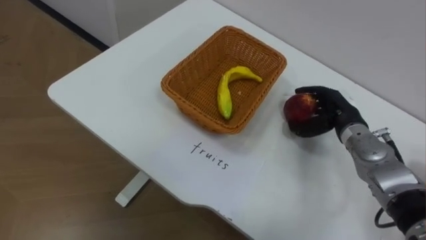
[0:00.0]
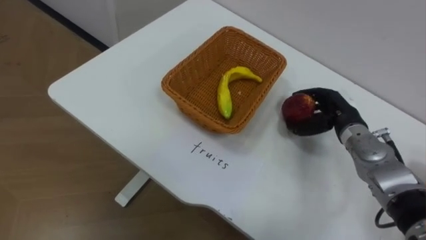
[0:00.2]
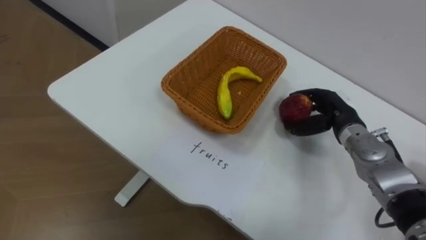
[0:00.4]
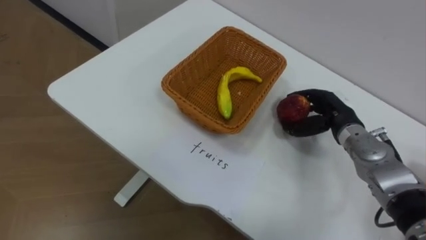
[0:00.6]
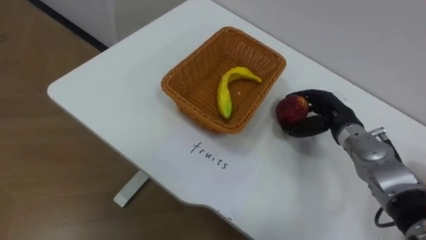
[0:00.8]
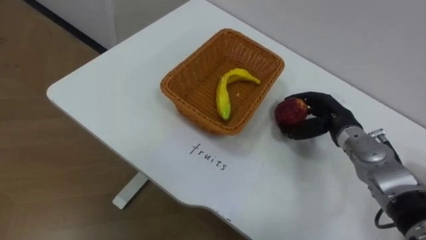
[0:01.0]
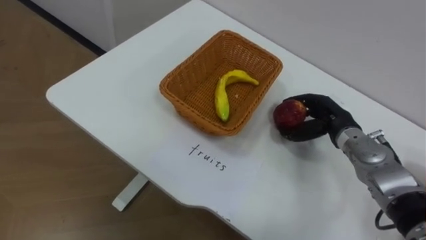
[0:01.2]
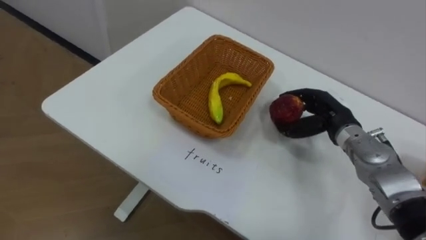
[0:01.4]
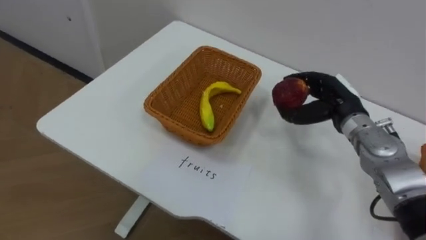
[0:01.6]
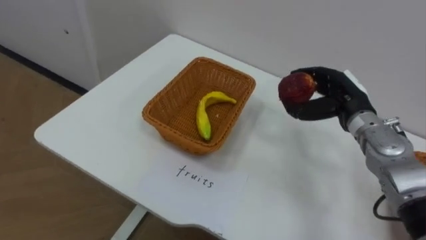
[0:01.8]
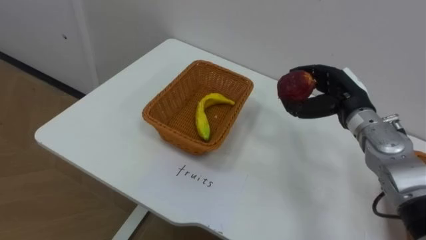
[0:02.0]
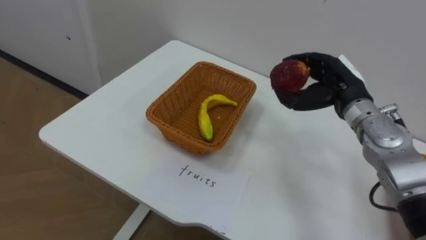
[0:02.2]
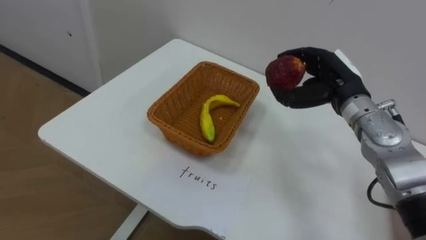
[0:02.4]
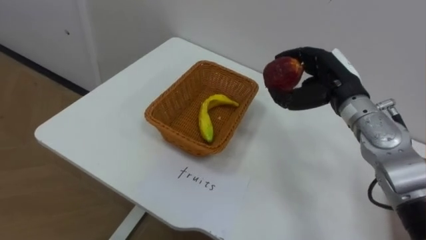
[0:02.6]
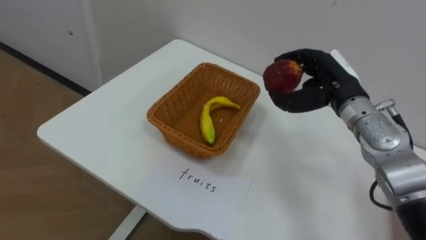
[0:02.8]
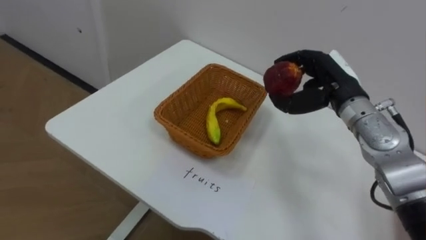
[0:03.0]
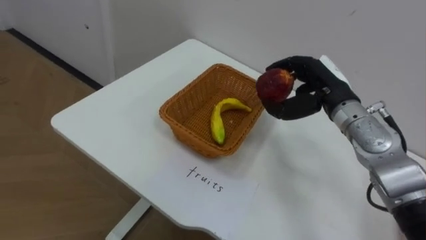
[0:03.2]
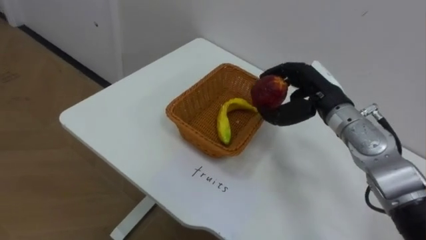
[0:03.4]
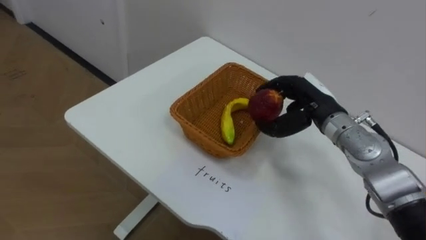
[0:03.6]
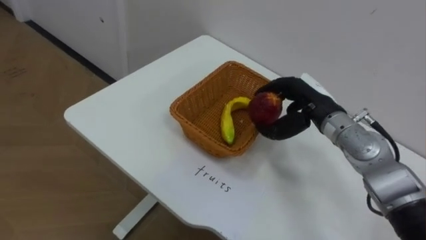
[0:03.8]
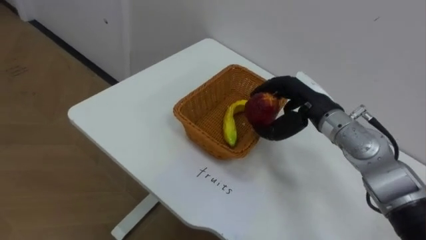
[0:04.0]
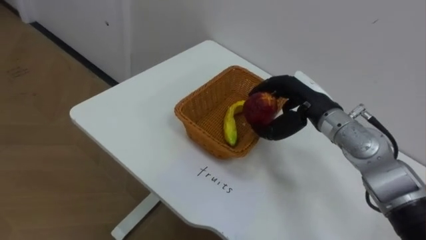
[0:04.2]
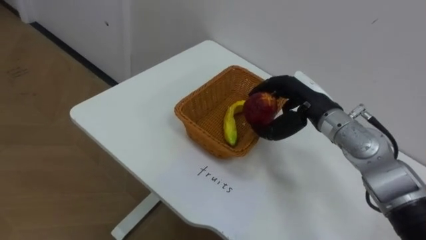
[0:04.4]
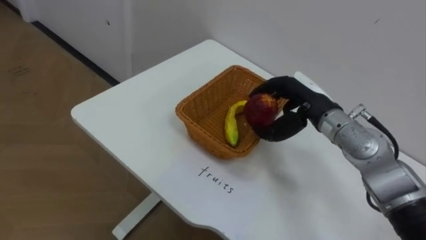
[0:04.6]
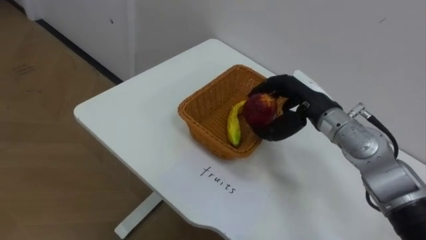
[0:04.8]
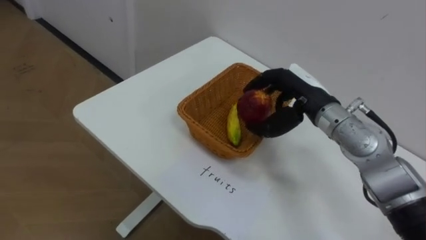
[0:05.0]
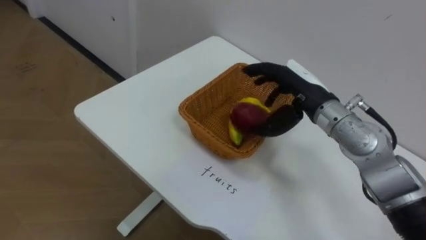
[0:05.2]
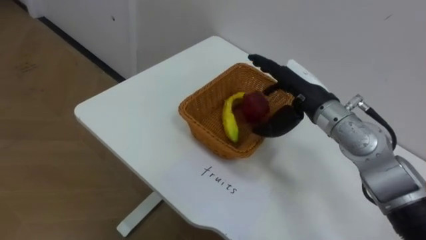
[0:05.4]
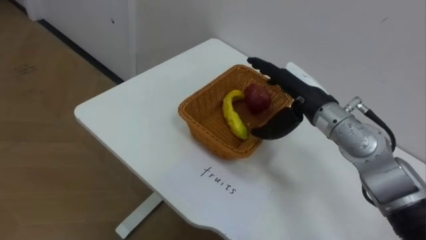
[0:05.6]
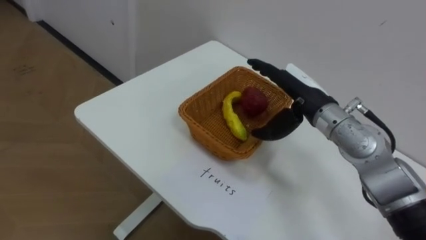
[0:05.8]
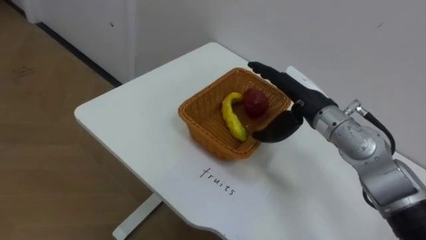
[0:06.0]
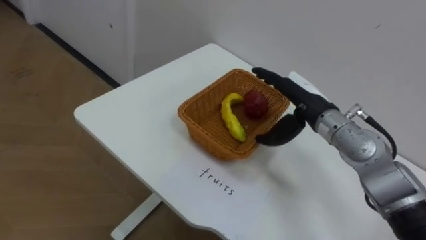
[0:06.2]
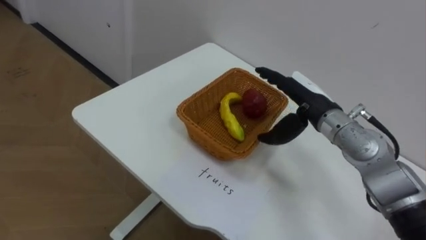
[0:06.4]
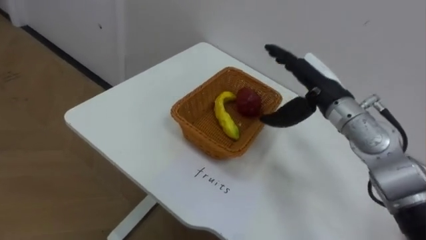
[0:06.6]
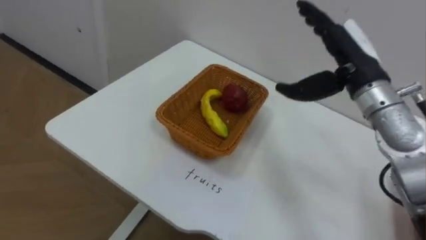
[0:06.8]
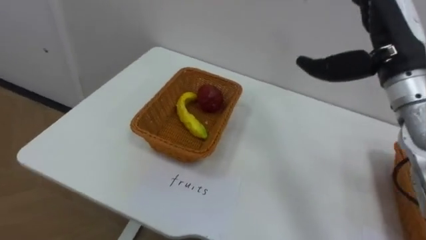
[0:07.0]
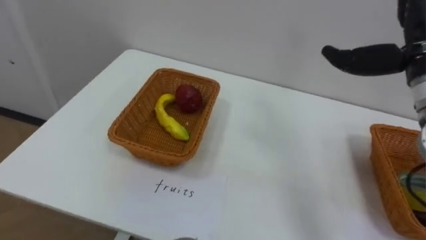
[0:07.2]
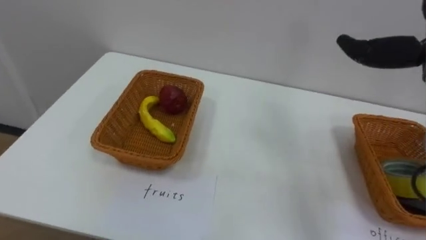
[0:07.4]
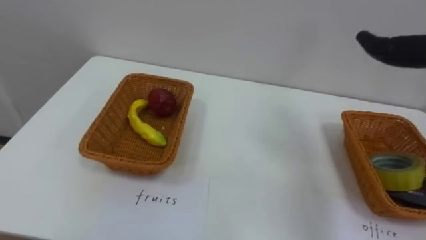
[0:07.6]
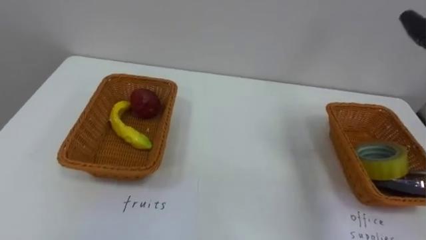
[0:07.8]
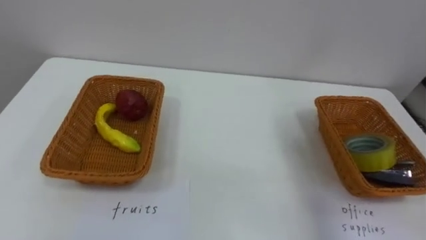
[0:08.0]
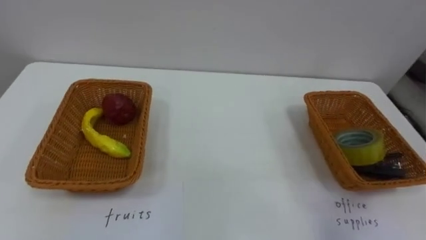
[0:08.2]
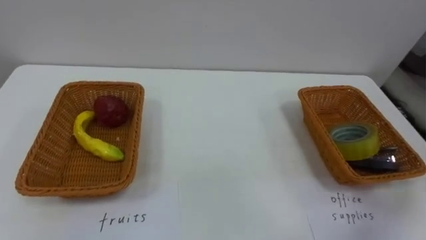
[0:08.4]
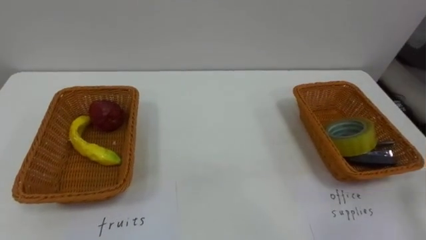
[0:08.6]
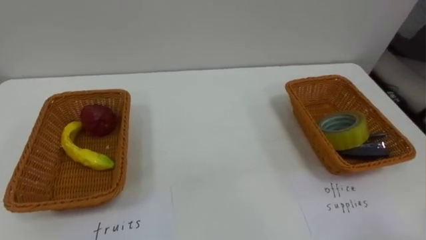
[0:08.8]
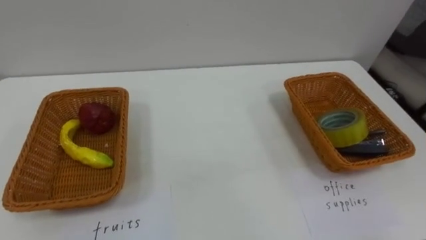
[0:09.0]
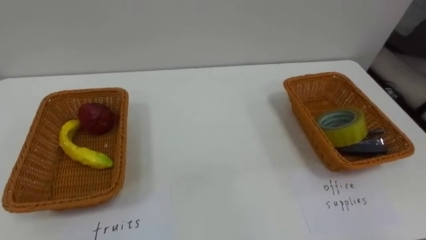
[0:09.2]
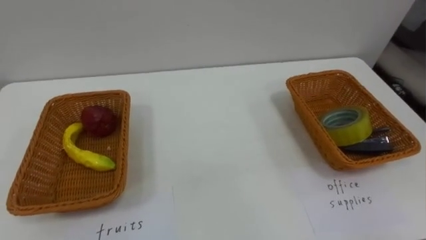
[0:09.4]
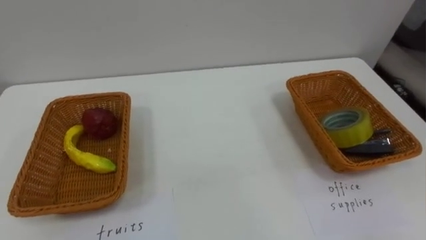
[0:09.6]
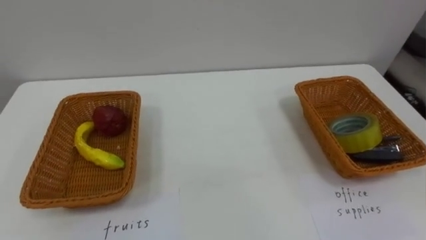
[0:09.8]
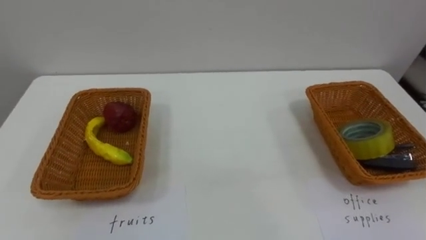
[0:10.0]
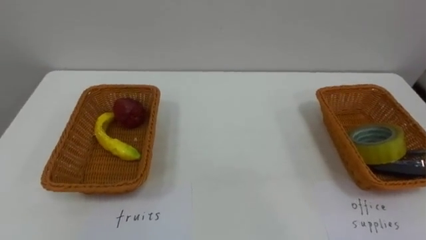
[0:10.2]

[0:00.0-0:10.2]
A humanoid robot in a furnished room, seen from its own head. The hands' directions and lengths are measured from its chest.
Task of the whole recording: Separate the items on the table and place them into the two baskets.
0:01.4 to 0:03.0: The right hand moves upward, approximately 10 cm.
0:03.0 to 0:04.4: The right hand ends up roughly 5 cm from where it was.
0:04.4 to 0:05.8: The right hand opens its fingers.
0:05.8 to 0:07.2: The right hand travels to the right and upward by approximately 15 cm.

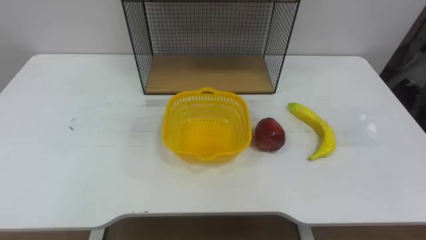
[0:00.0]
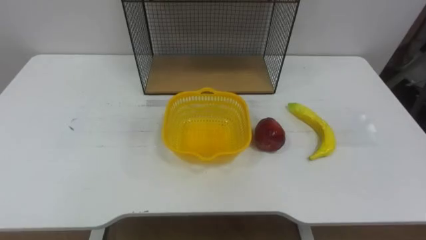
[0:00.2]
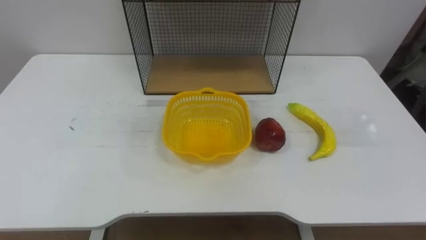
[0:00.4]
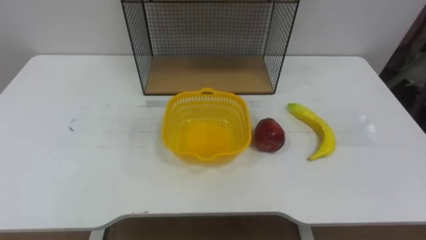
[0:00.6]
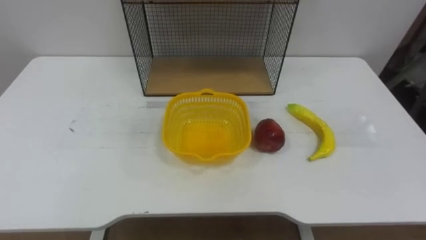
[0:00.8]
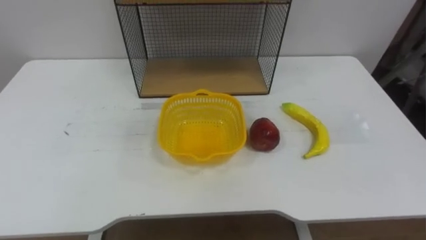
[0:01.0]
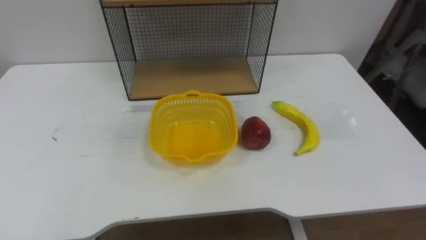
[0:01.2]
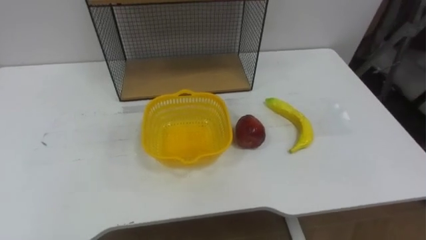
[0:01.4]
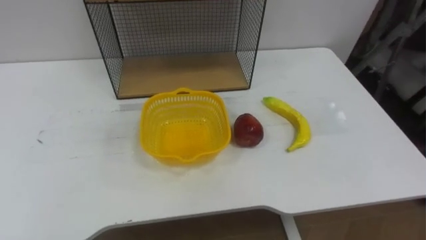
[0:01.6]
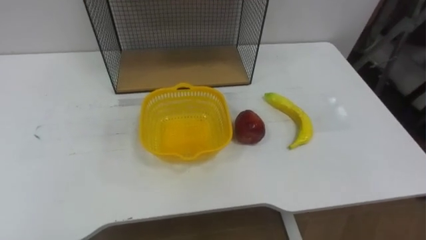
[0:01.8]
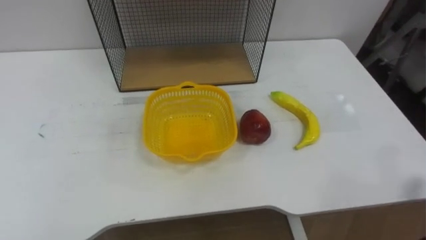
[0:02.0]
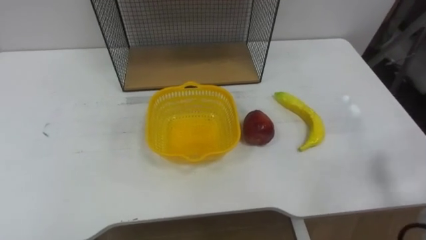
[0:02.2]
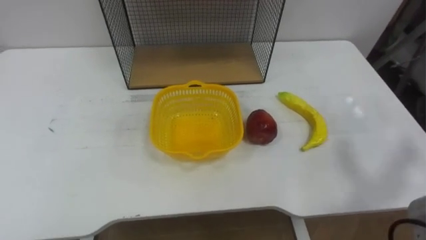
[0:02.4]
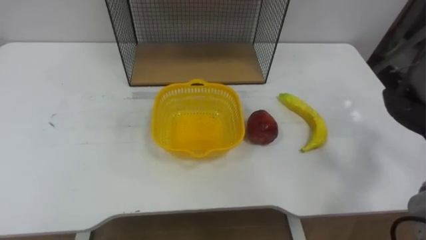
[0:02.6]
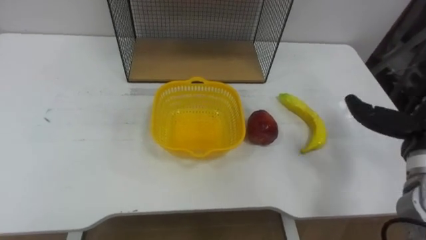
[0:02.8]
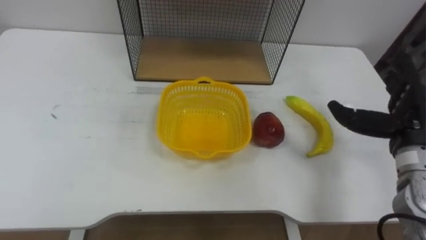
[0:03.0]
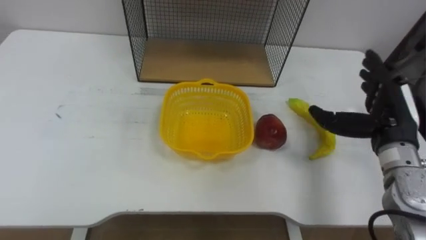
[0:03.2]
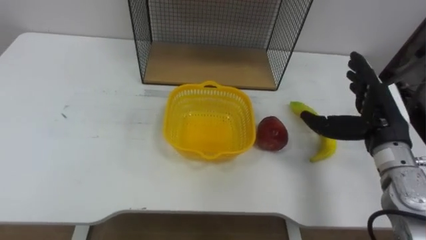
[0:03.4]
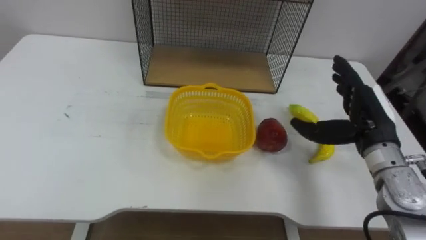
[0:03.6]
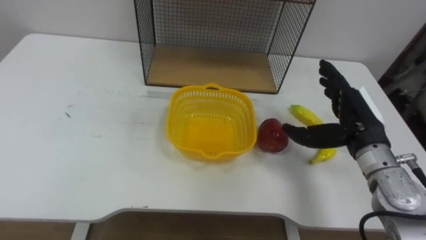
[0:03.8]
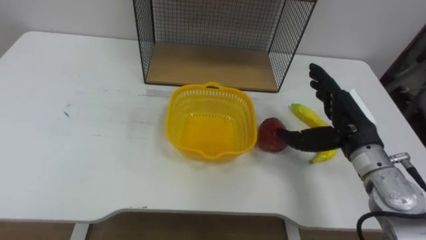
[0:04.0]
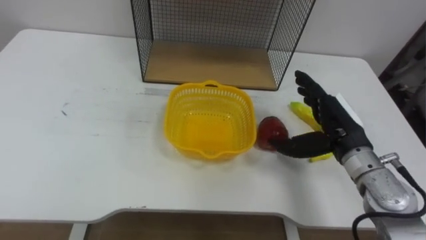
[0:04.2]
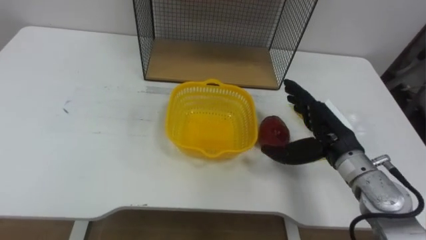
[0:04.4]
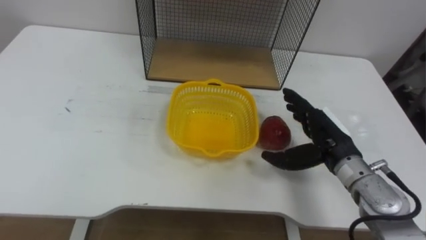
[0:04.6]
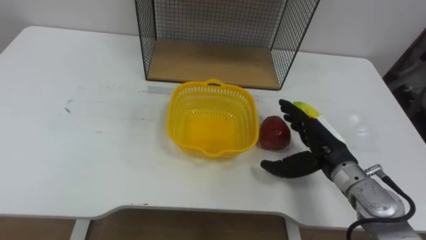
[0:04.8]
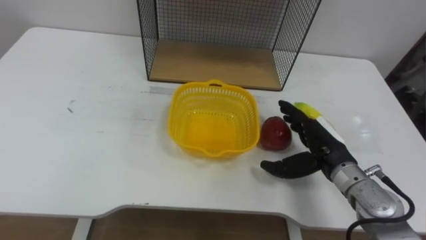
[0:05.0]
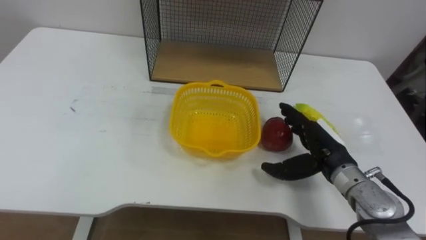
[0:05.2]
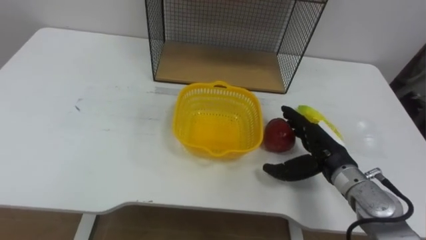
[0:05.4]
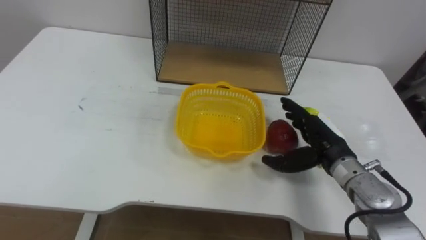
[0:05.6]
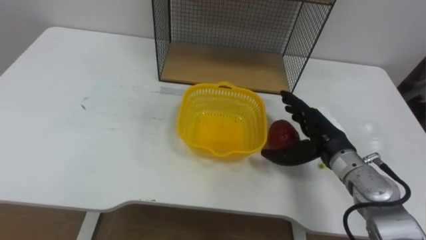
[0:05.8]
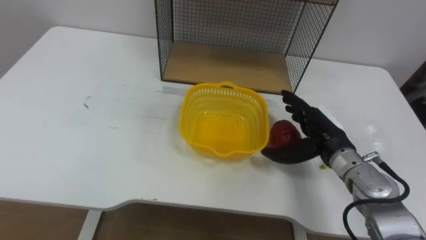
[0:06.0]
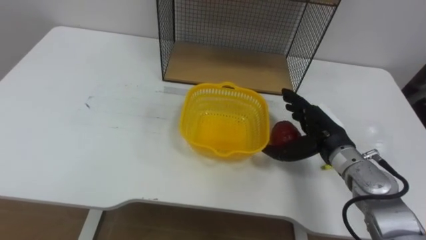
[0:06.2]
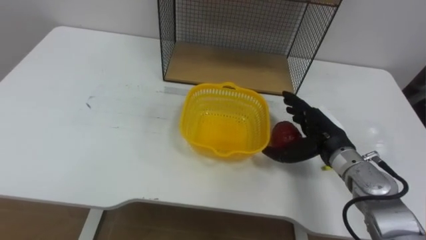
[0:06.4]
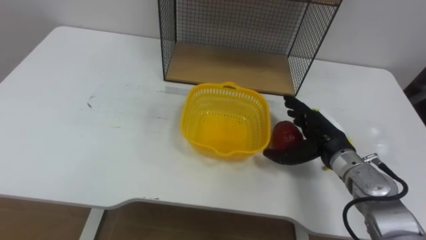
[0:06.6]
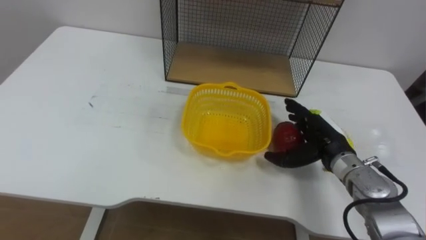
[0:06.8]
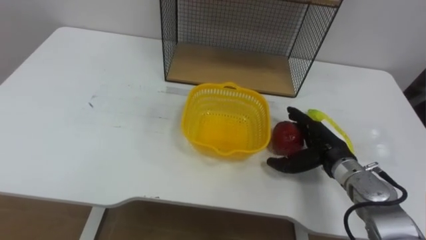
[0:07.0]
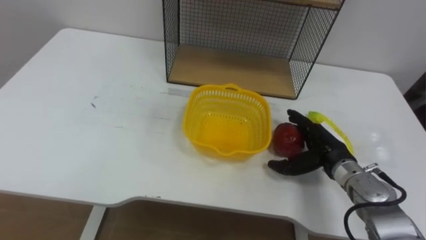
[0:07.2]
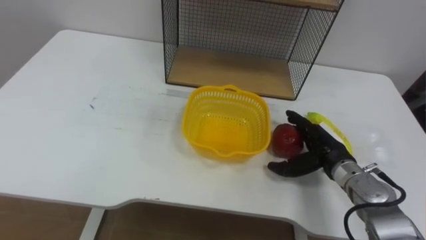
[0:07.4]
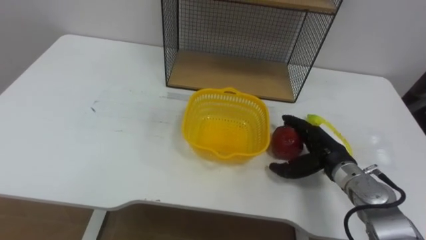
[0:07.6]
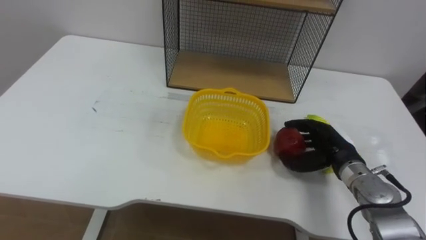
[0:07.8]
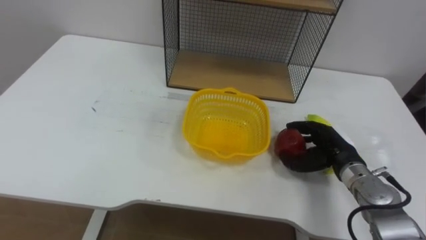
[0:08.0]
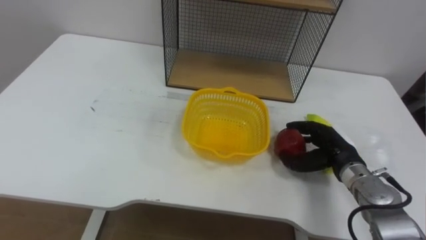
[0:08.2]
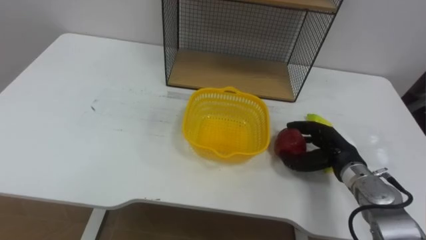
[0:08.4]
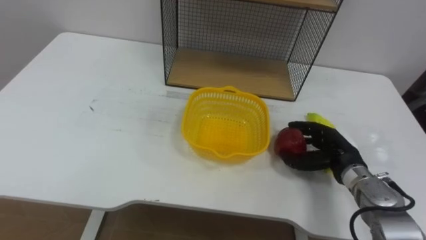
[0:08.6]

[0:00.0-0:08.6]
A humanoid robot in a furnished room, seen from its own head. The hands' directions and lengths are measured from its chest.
Task of the whole recording: Put the fruit on the table into the basket, then place the basket on the shelf.
0:07.2 to 0:08.6: The right hand closes up.
